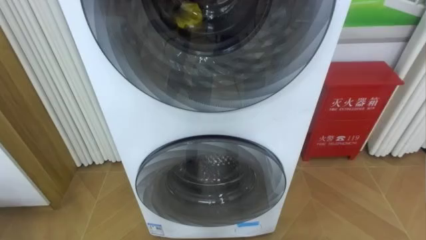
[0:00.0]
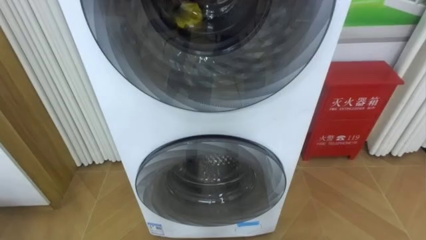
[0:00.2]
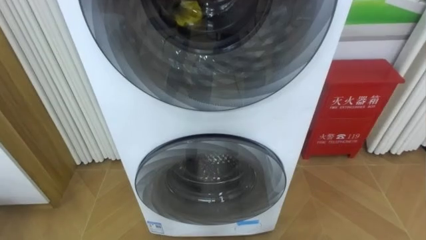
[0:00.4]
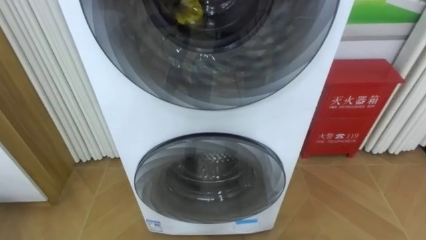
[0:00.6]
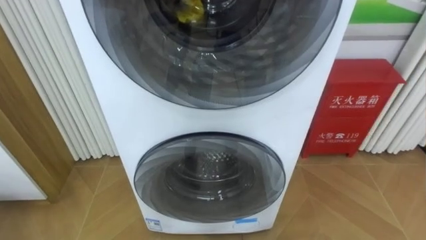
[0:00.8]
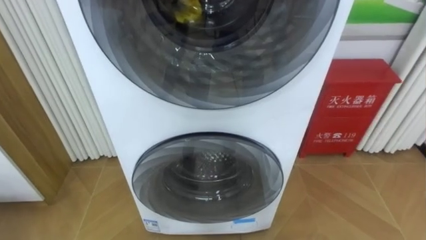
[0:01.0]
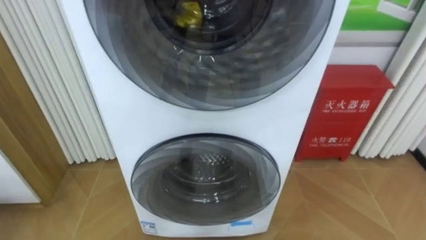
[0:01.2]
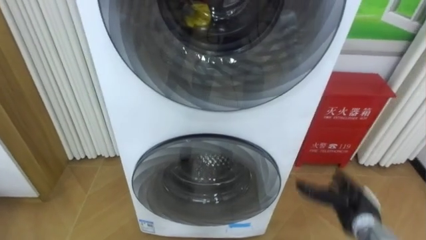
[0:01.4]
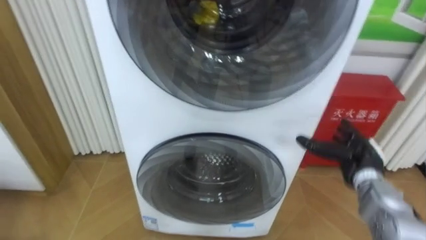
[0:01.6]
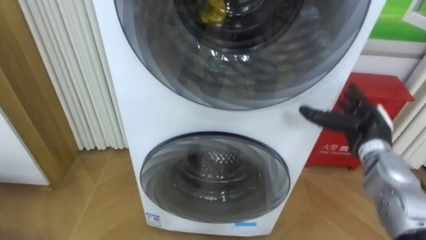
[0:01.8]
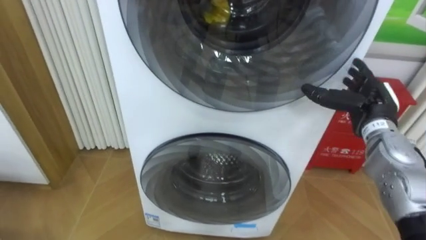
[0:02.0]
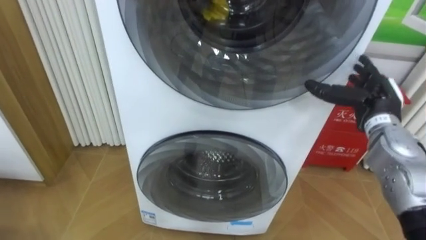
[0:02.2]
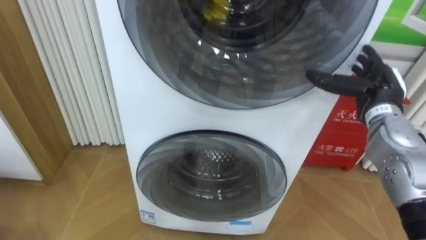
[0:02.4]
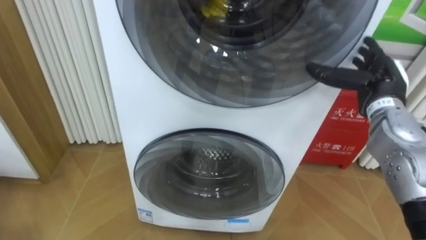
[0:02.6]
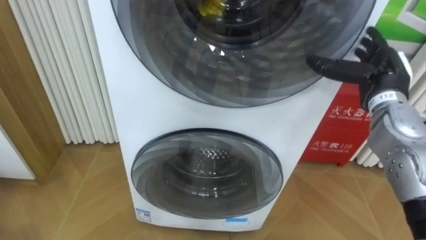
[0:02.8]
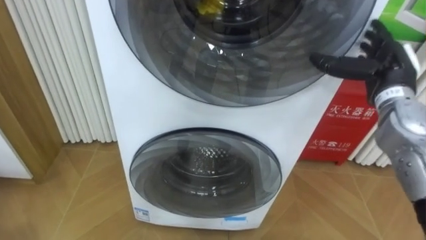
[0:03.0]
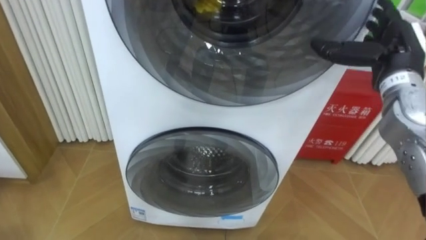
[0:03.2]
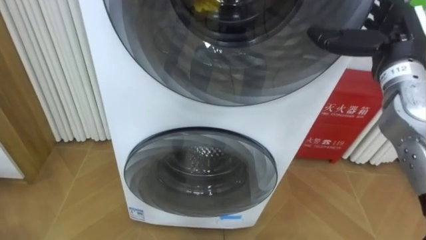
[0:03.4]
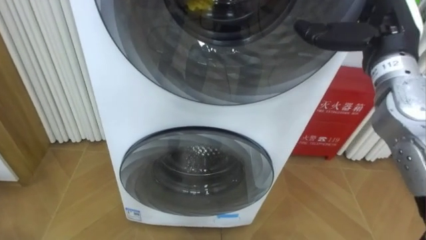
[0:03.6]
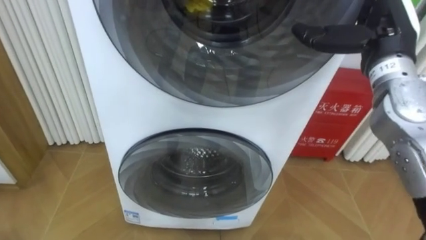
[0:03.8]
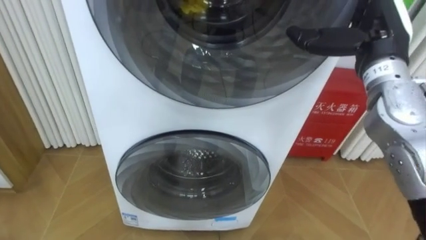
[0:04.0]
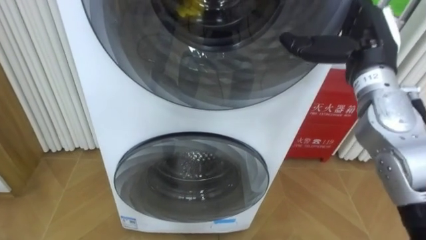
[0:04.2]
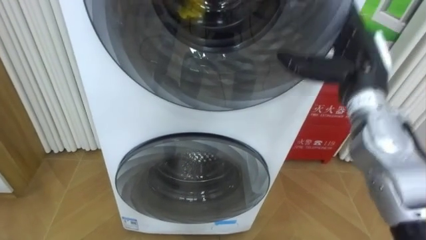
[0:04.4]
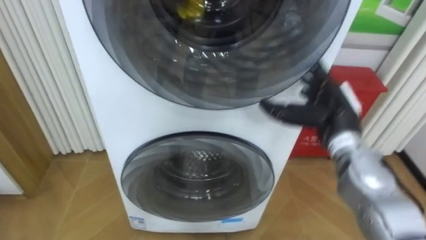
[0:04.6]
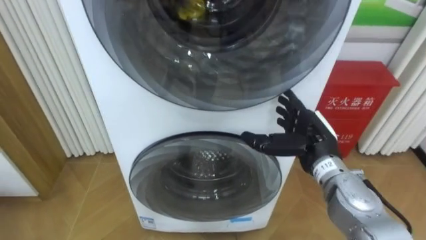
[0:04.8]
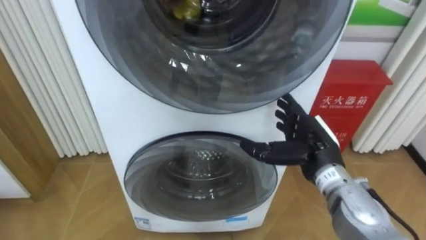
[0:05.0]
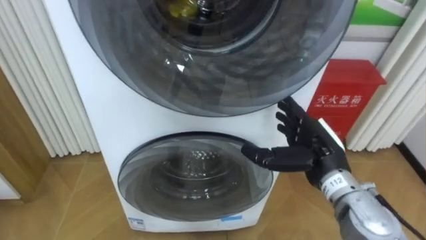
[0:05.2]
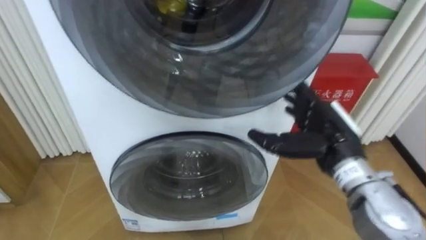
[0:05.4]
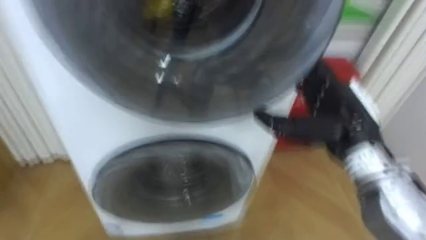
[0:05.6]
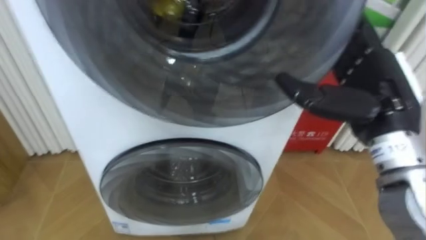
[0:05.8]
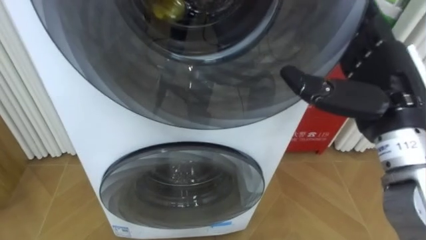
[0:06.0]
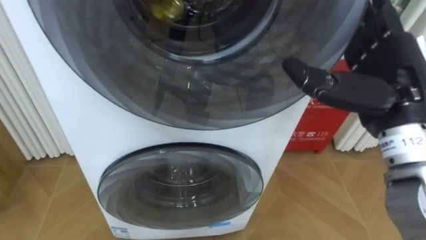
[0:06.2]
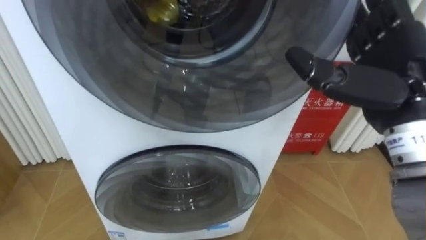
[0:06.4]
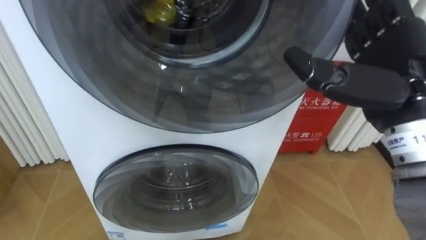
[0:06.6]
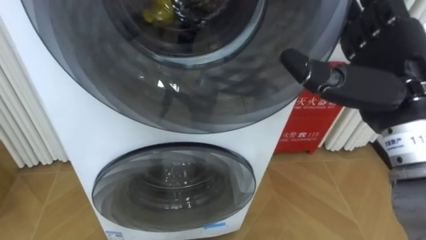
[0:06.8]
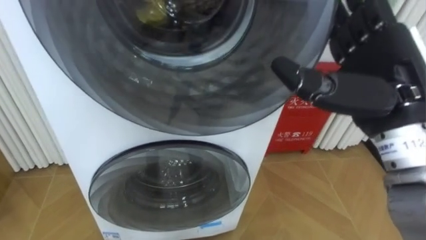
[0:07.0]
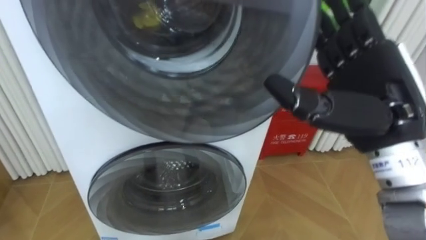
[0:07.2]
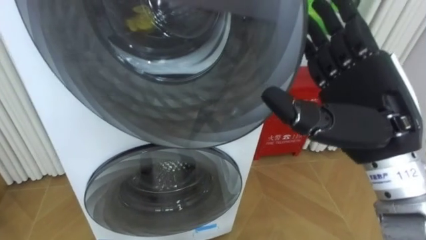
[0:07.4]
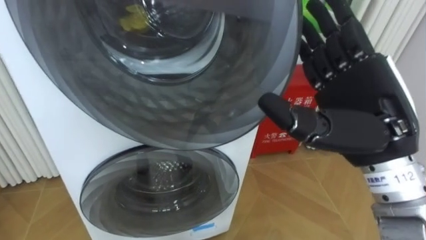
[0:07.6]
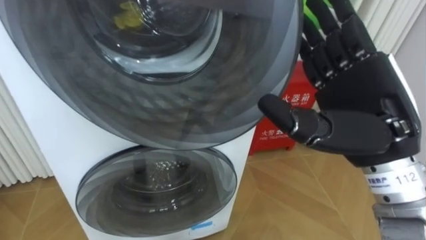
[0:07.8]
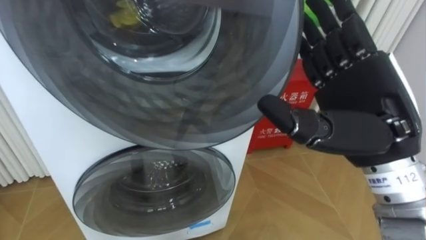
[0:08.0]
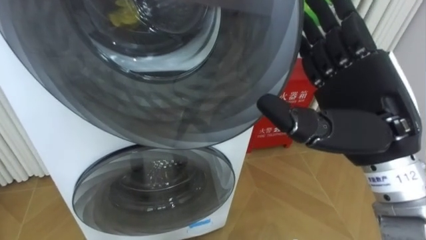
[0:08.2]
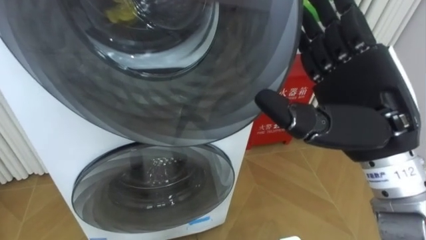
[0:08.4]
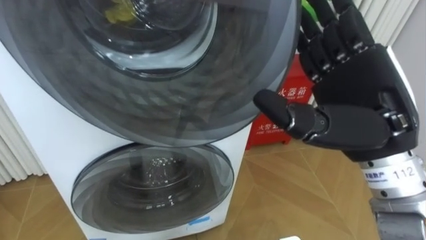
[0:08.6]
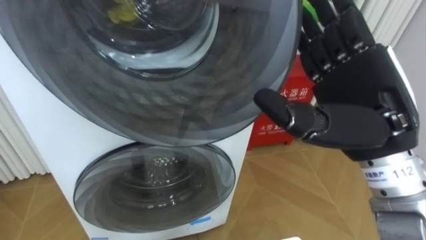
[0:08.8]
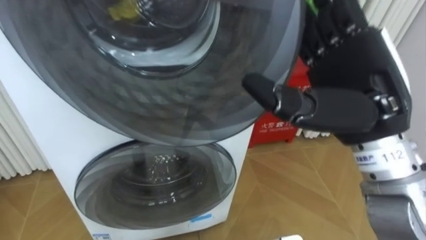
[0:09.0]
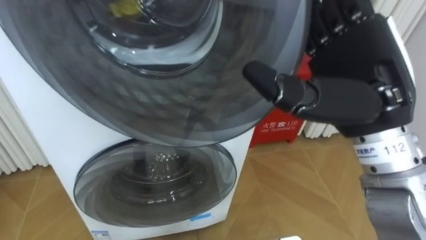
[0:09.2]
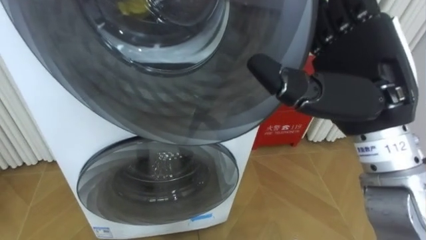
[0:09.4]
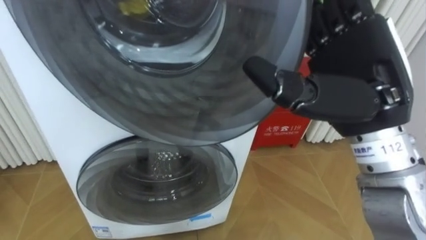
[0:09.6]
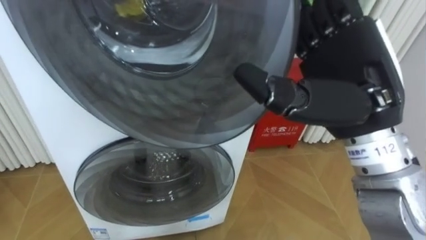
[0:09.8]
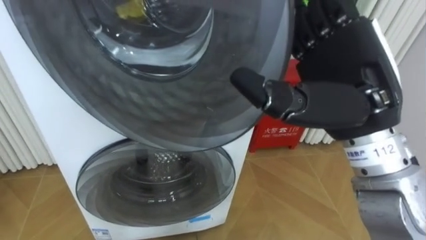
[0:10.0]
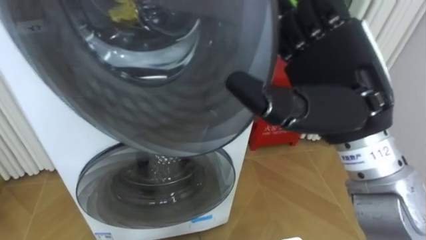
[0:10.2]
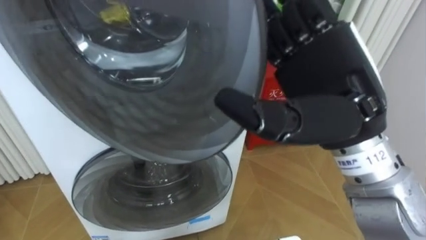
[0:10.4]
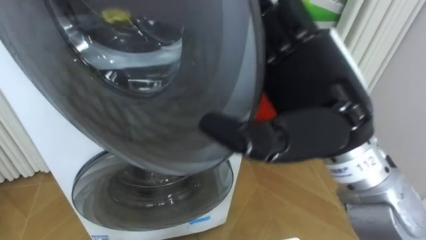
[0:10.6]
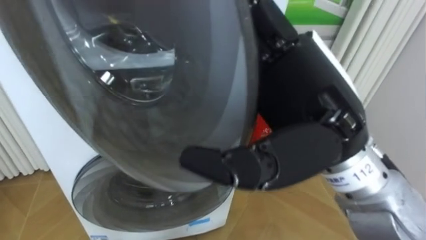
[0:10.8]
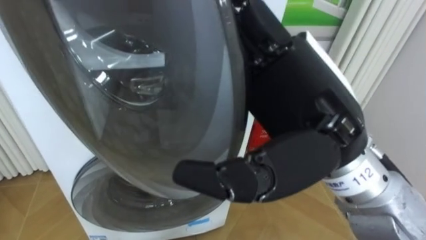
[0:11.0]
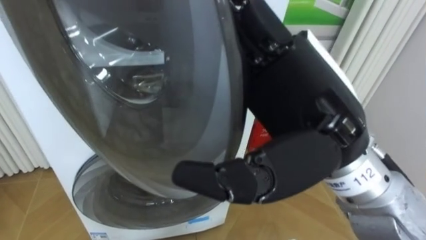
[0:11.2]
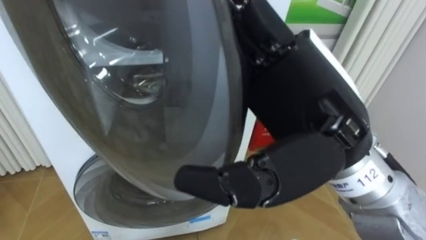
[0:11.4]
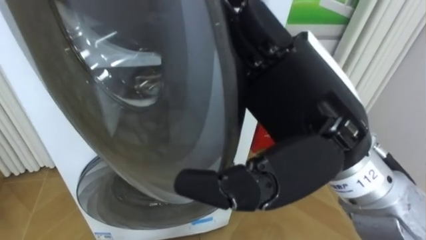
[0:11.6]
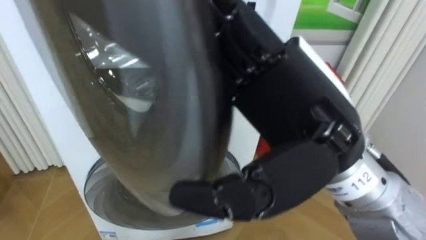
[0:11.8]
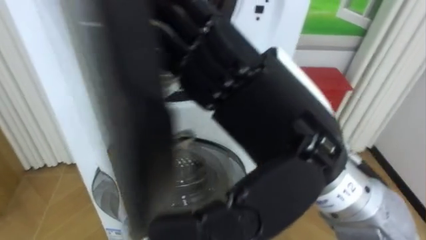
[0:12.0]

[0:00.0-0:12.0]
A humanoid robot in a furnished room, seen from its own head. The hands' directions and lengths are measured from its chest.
Task of the whole recording: Open the washing machine door, take out the yellow clothes, place them in the box on the right, and close the washing machine door.
0:01.6 to 0:03.0: The right hand heads upward, covering roughly 15 cm.
0:03.0 to 0:04.4: The right hand moves to the left, approximately 5 cm.
0:04.4 to 0:06.0: The right hand goes some 10 cm backward, and travels downward and back again, some 10 cm each way.
0:06.0 to 0:07.6: The right hand changes place by some 5 cm.
0:10.4 to 0:12.0: The right hand heads to the left and backward, covering roughly 10 cm.

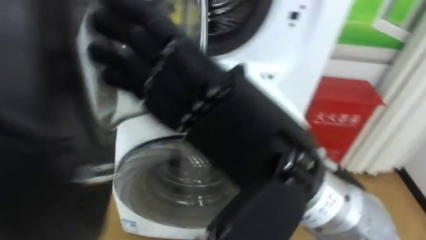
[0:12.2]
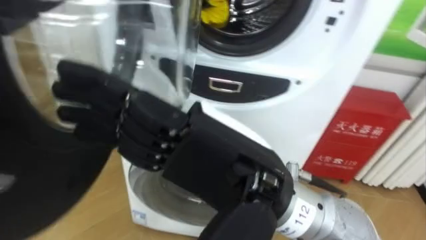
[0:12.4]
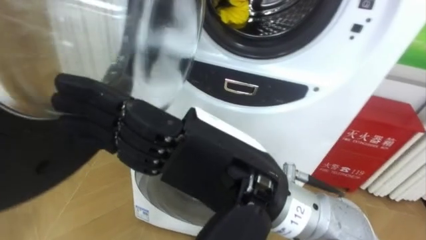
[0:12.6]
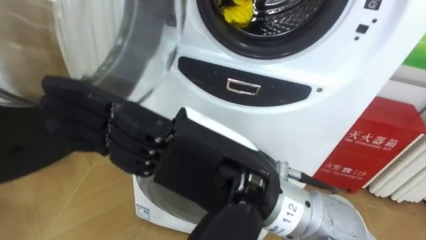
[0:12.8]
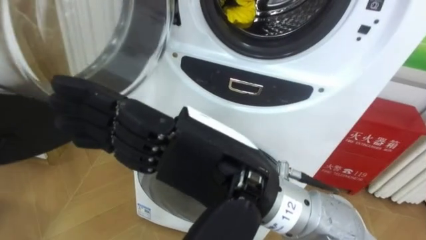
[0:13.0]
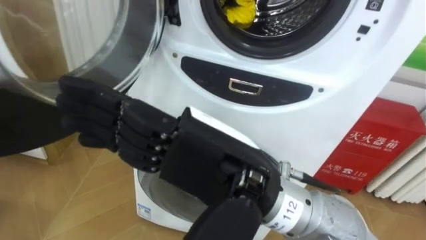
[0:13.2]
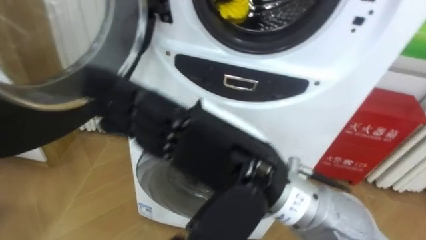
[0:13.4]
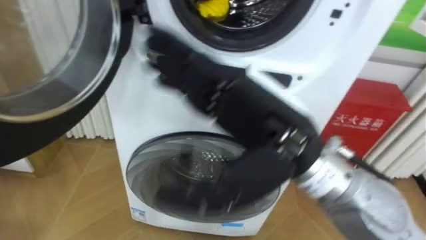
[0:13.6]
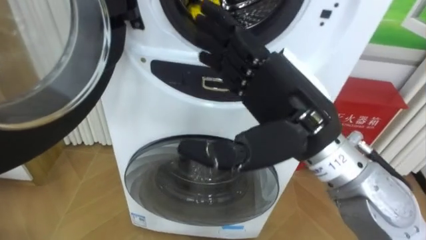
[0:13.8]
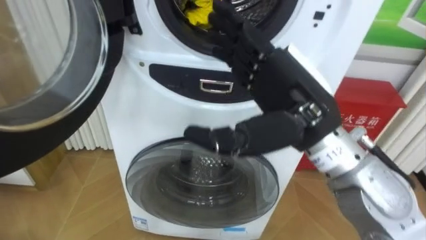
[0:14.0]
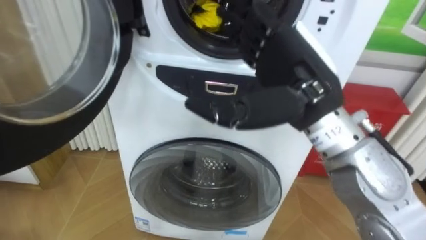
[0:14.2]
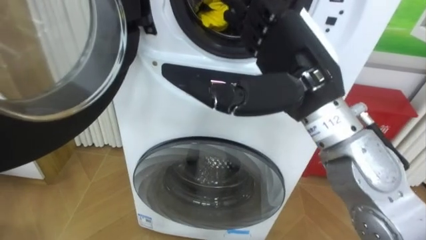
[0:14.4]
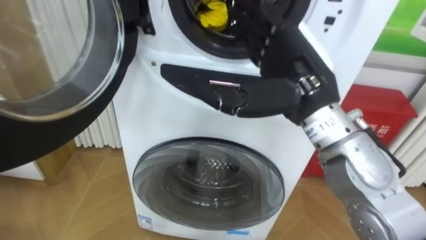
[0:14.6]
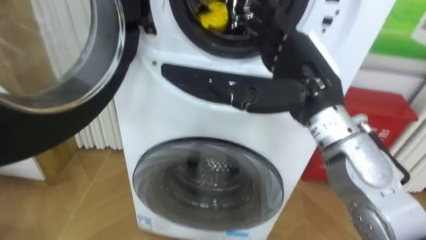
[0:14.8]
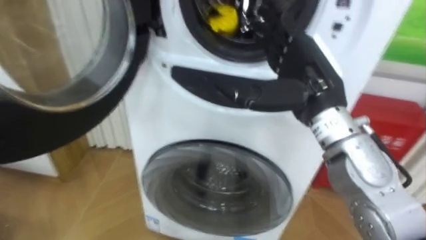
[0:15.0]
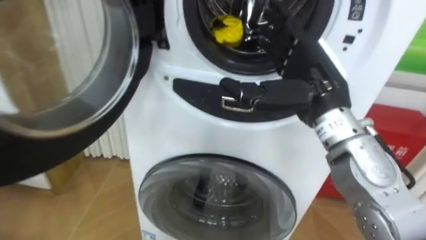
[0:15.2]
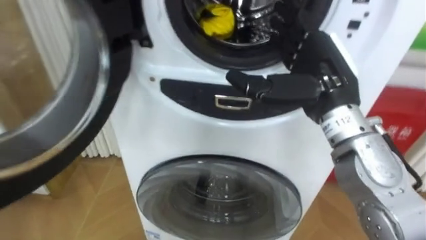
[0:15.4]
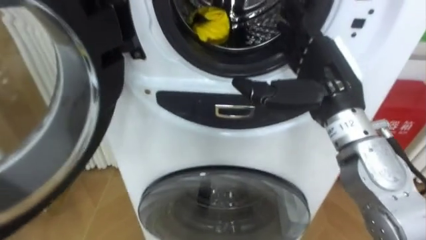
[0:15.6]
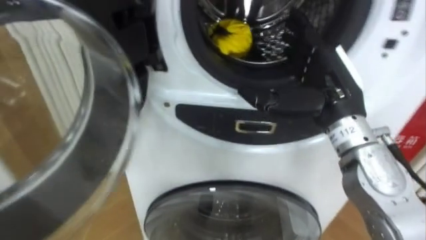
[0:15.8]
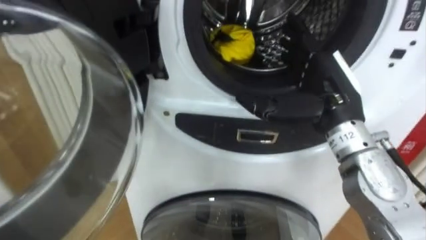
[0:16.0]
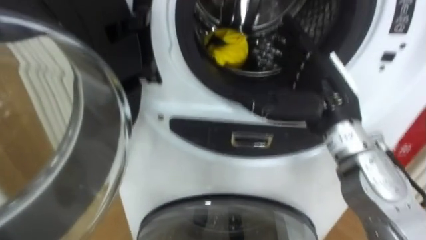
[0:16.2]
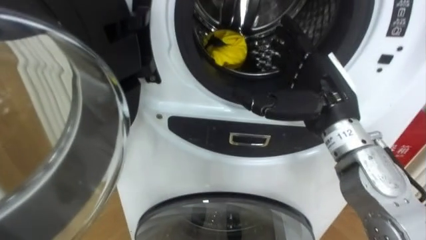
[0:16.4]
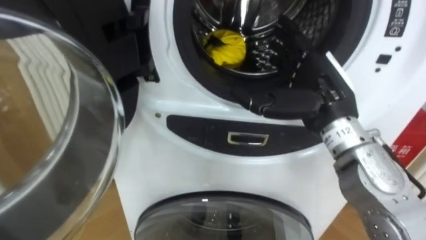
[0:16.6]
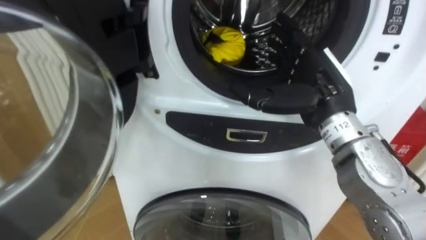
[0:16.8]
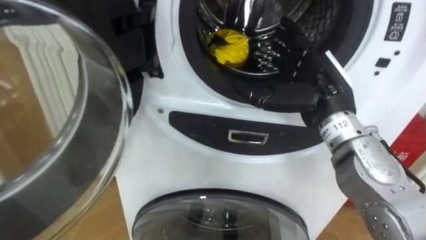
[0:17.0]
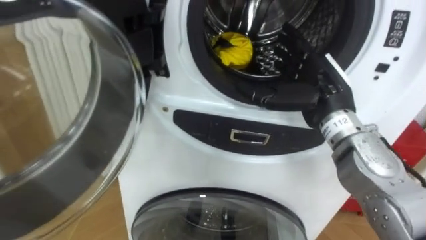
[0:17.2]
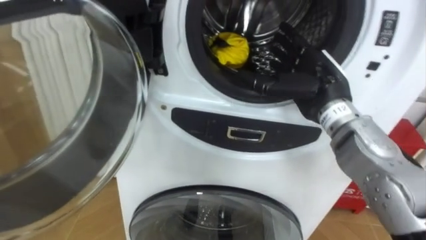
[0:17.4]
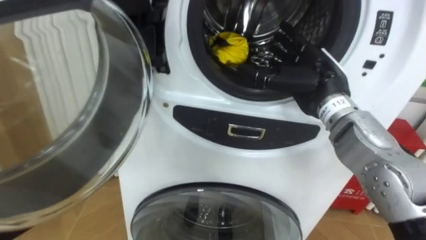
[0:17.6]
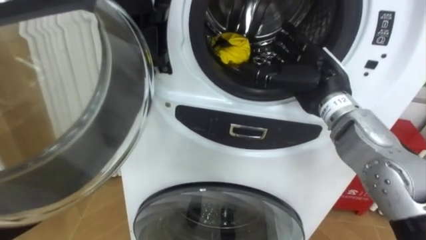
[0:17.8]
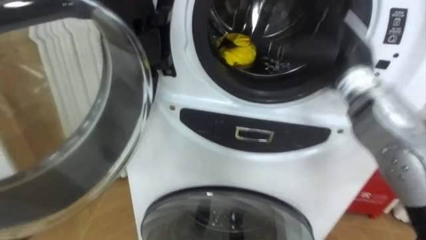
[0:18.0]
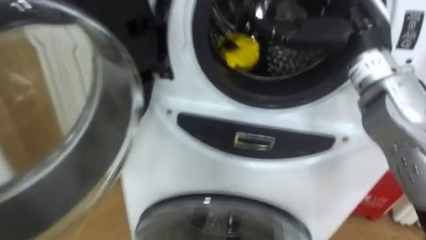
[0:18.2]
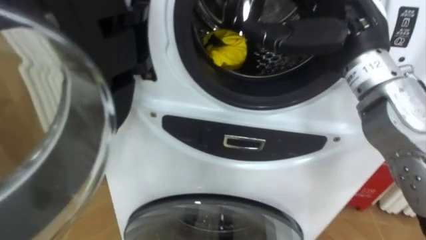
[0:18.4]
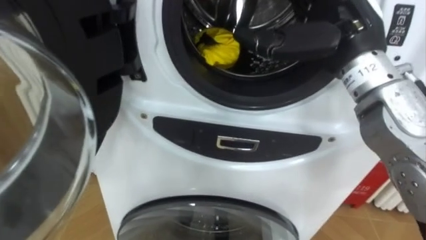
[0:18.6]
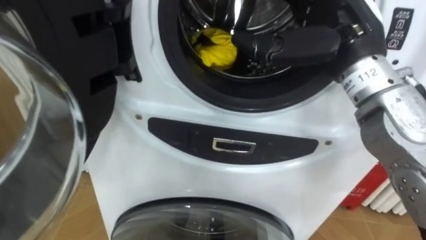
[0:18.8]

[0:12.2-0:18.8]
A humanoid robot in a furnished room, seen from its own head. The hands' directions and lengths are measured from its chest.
Task of the whole recording: Open the washing machine door, take out the yellow clothes, place them in the box on the right, and close the washing machine door.
0:12.2 to 0:13.8: The right hand goes roughly 10 cm forward.
0:13.8 to 0:15.4: The right hand travels forward and to the right by some 10 cm.
0:17.2 to 0:18.8: The right hand heads upward, covering about 10 cm.
